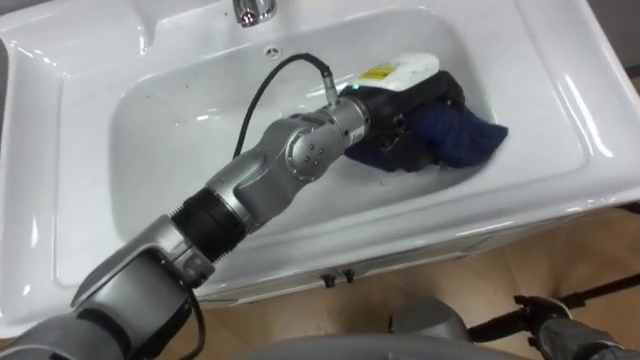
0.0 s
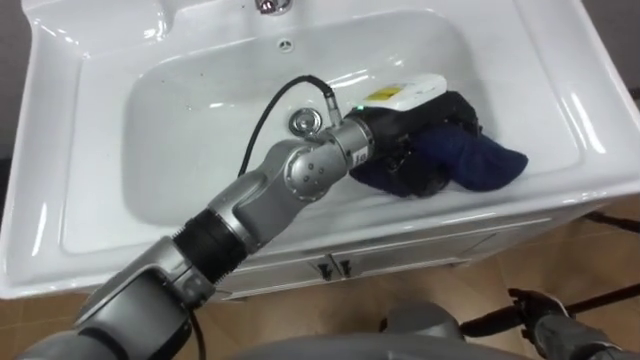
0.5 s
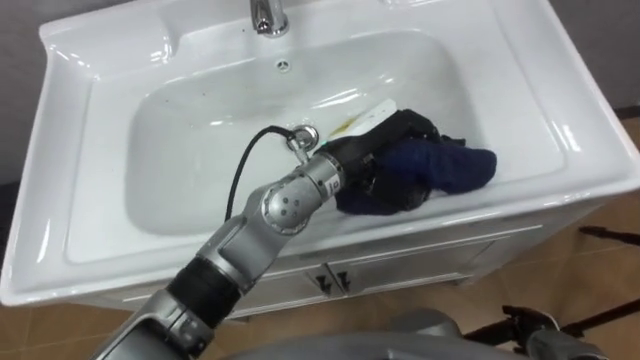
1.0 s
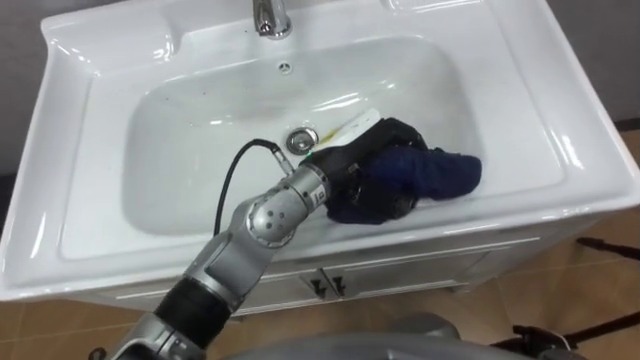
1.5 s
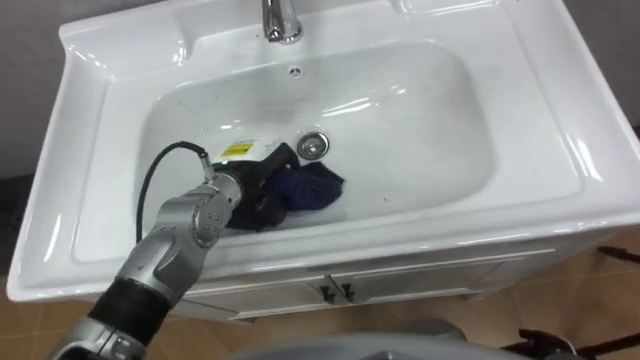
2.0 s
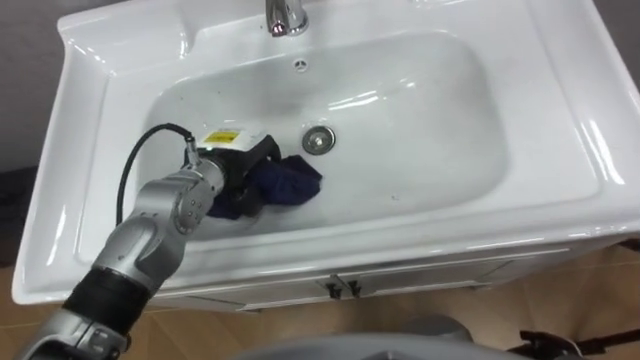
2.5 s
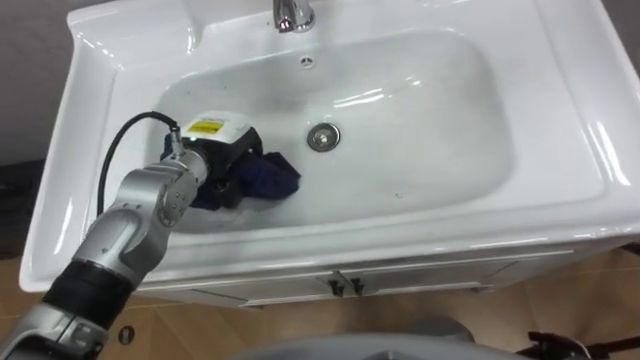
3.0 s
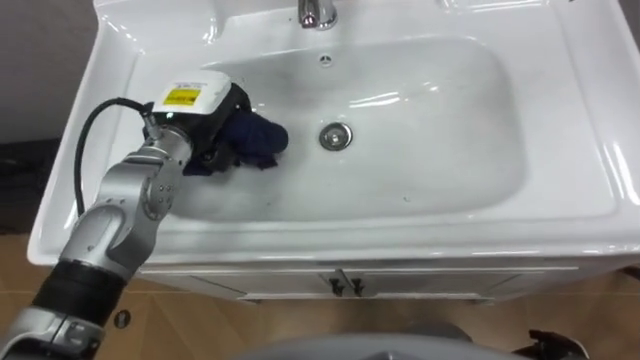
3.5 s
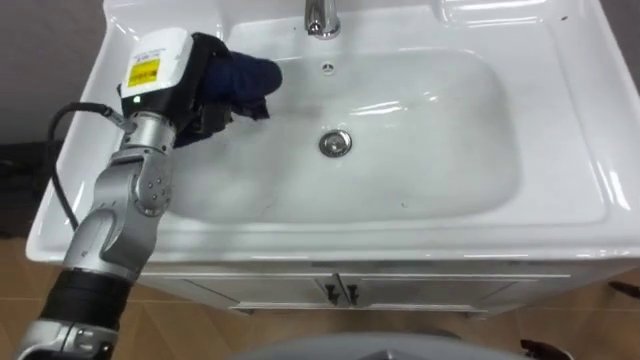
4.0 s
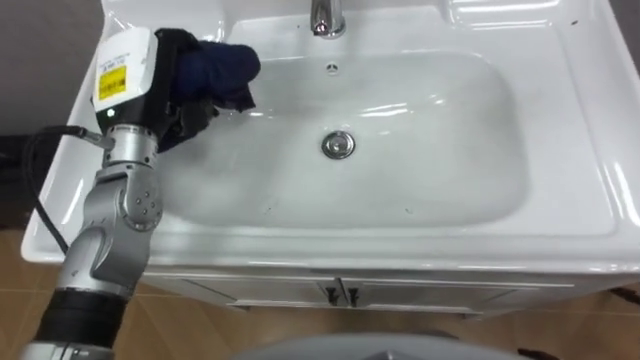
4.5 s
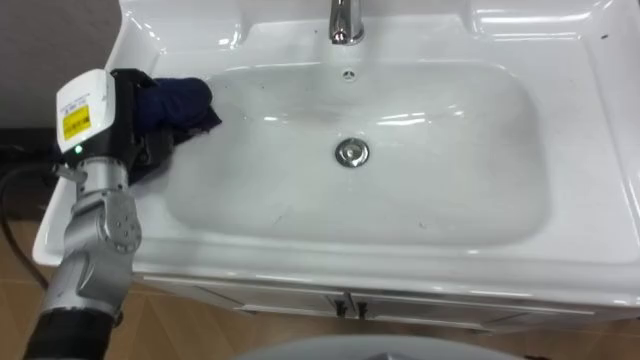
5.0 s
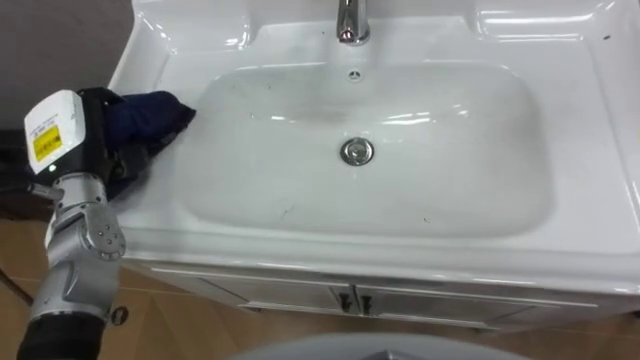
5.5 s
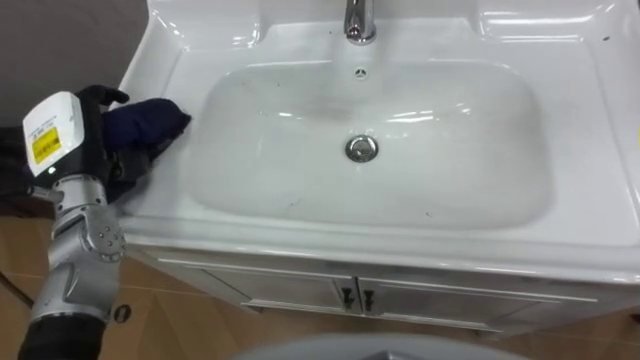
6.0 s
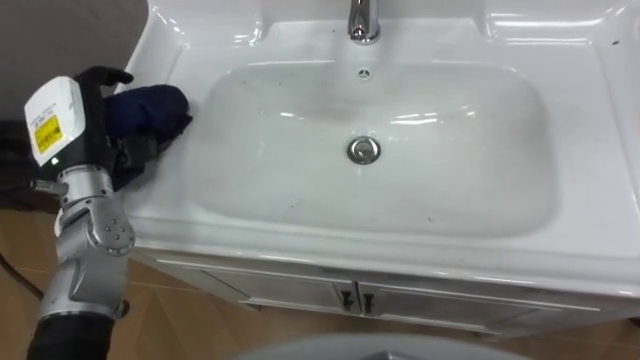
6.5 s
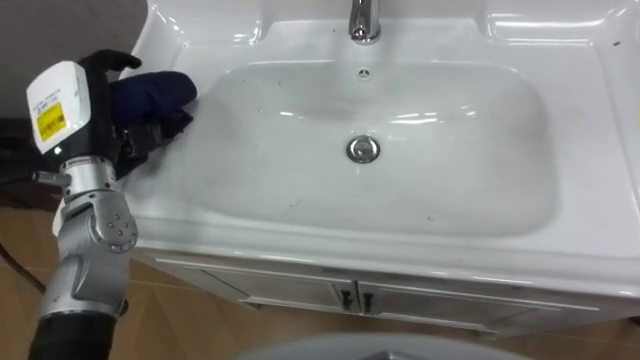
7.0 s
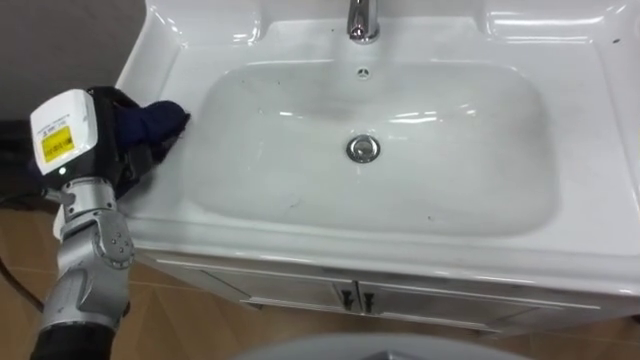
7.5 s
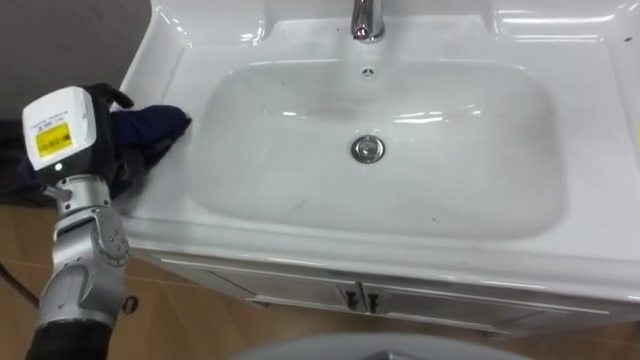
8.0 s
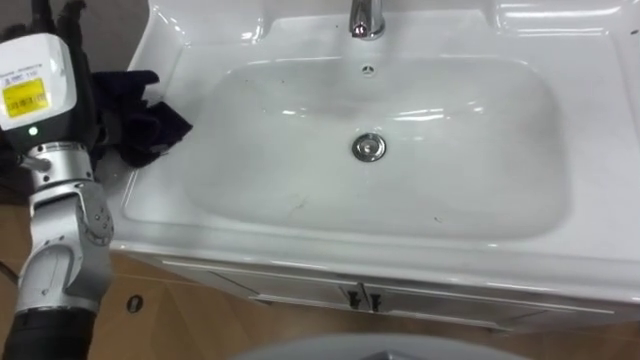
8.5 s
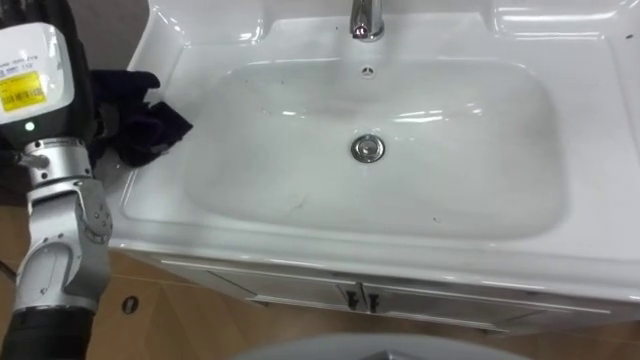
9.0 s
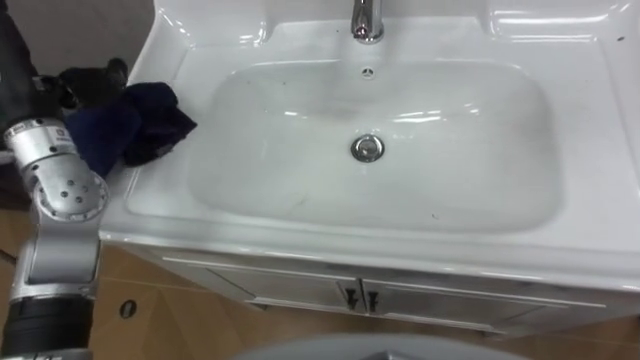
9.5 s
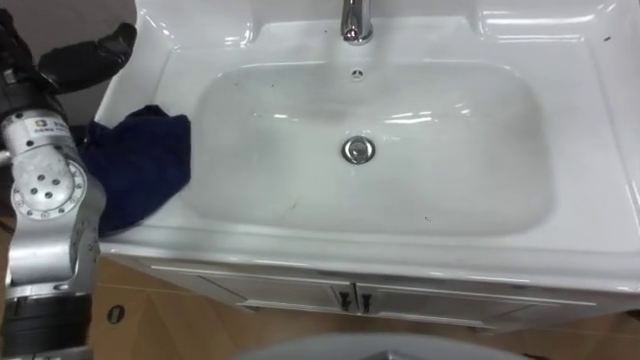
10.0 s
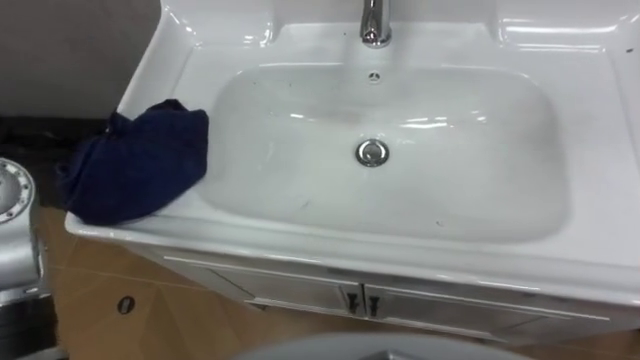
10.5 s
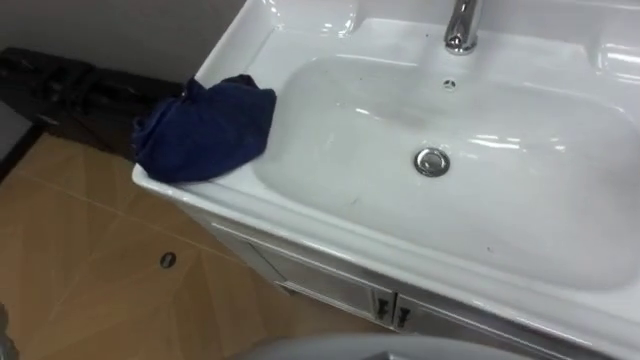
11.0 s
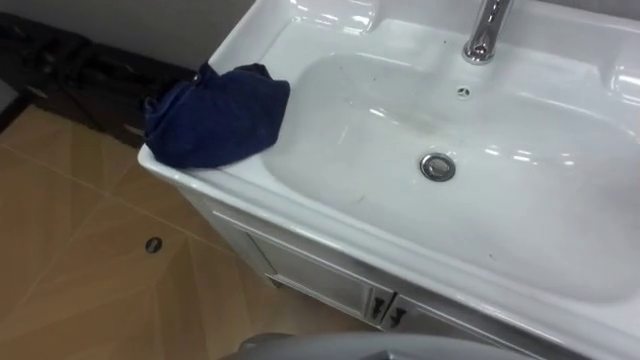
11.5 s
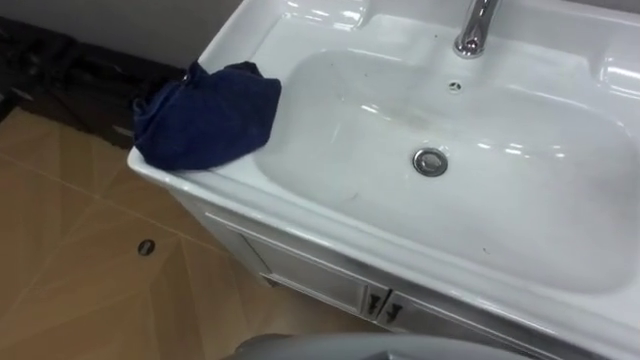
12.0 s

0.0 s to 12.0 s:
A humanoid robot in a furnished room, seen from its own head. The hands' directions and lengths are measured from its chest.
Task of the whole recording: Use the cloth on the right to wipe away the black stain in the sink.
0.0 to 2.0 s: The left hand heads to the left and downward, covering roughly 20 cm.
2.0 to 4.0 s: The left hand shifts some 15 cm upward and to the left.
4.0 to 6.0 s: The left hand moves to the left and backward, some 15 cm.

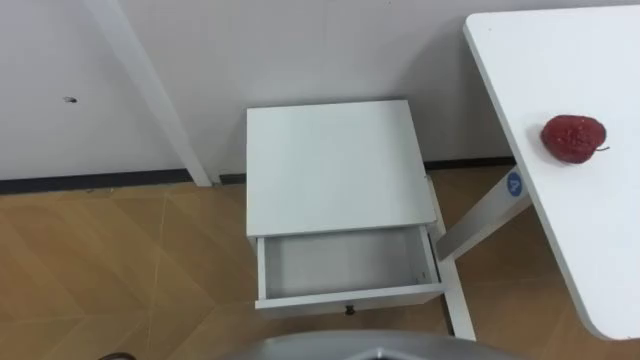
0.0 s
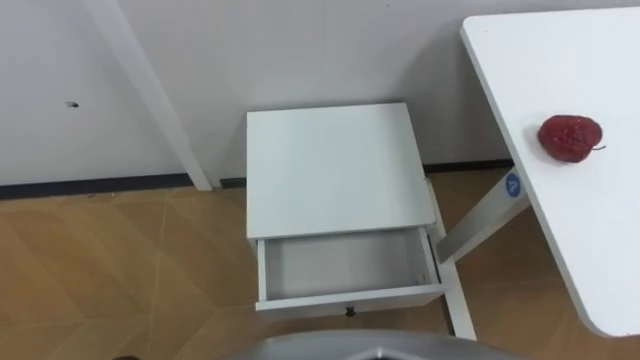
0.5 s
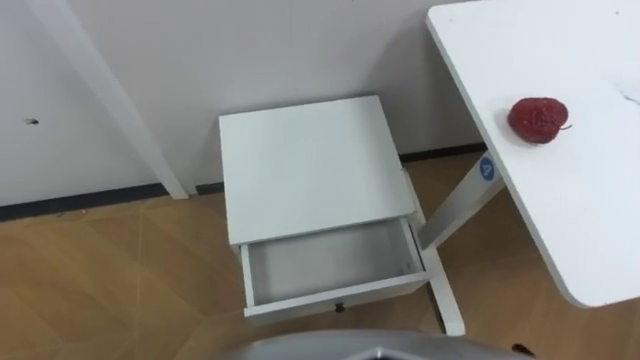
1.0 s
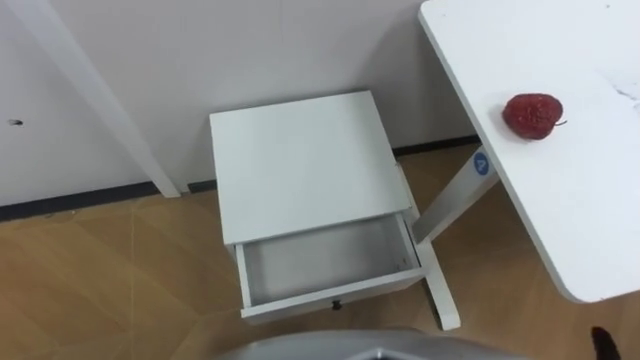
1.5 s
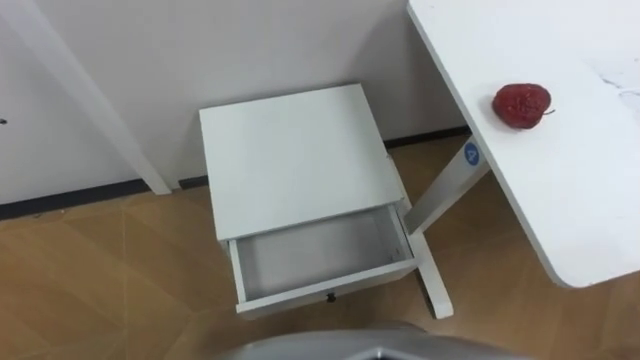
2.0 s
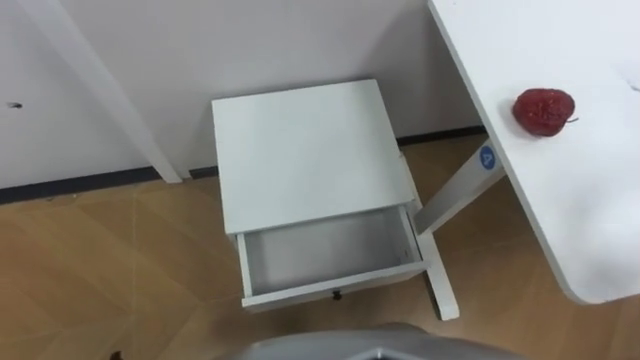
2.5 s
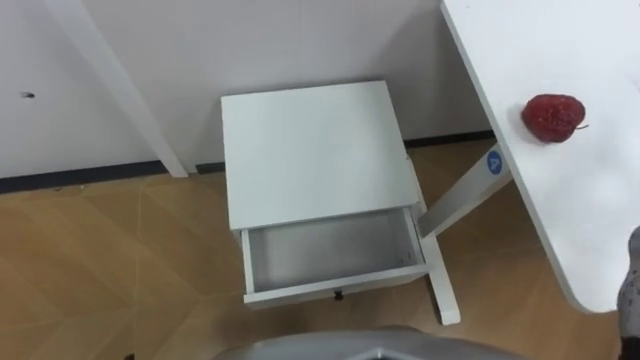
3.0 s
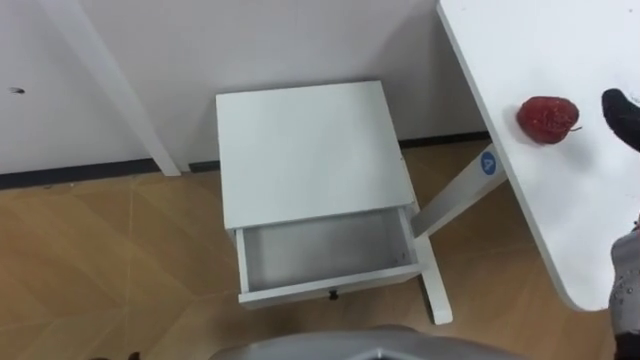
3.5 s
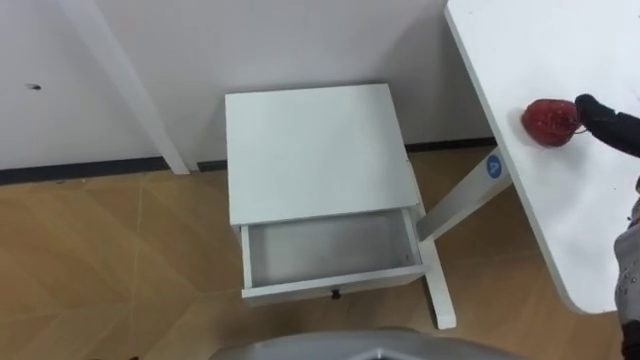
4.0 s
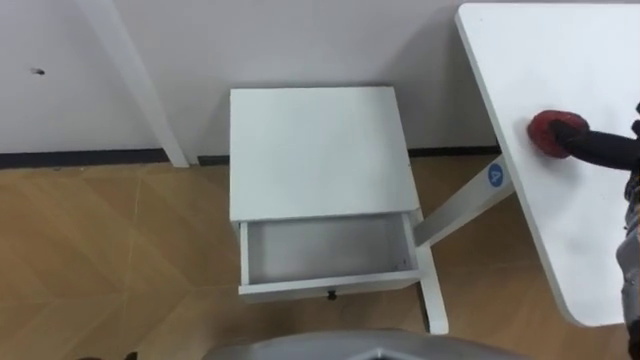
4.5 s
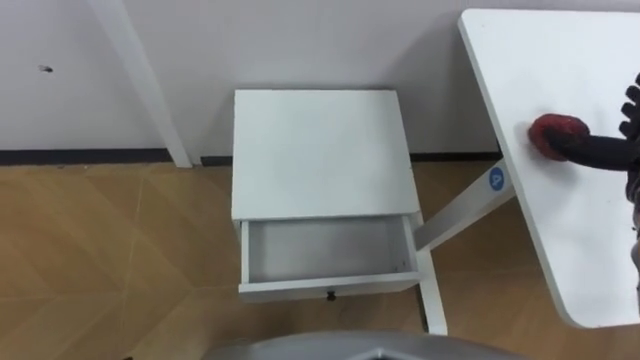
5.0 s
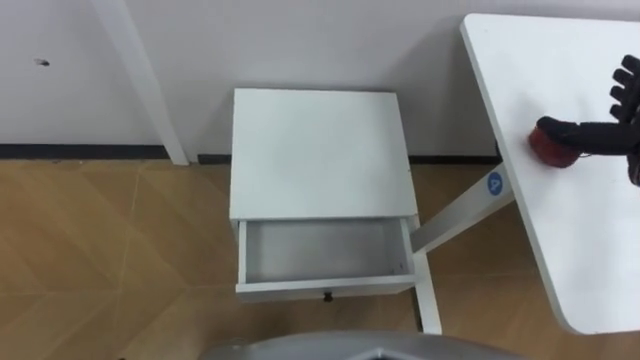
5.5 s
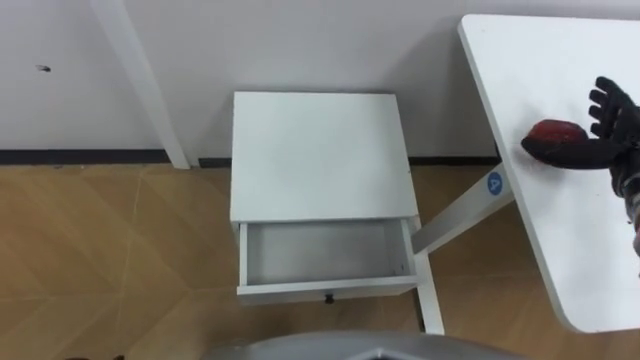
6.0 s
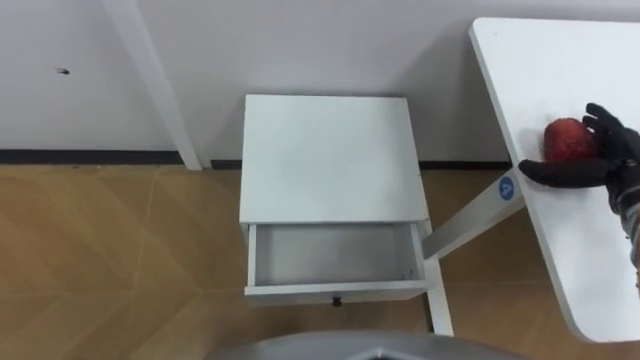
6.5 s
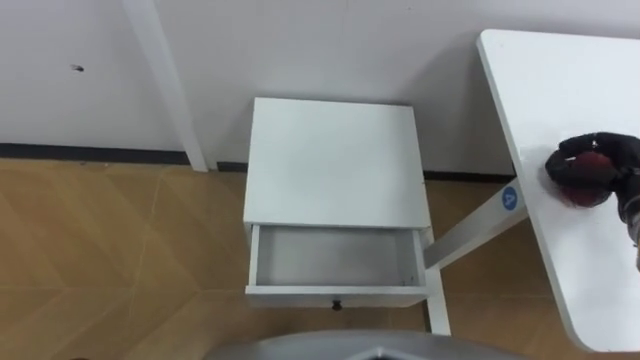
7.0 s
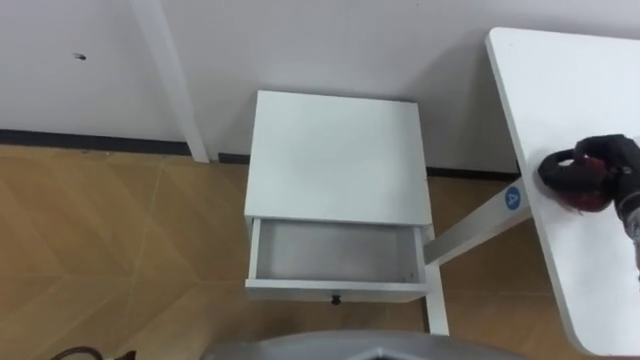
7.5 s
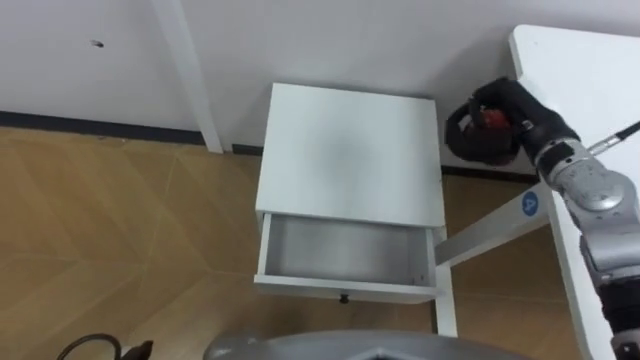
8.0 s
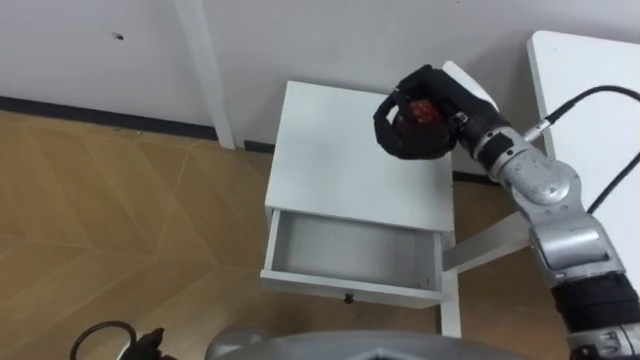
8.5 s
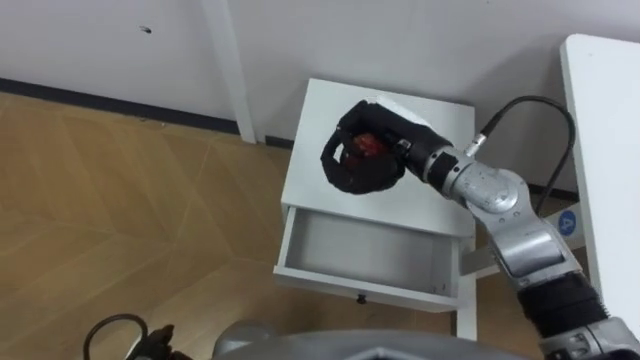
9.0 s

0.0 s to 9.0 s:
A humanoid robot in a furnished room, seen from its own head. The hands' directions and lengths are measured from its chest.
Task of the whole recording: Pick up the apple from the table, put it in the drawer, and close the drawer with leg.
7.0 to 9.0 s: The right hand is displaced to the left by roughly 30 cm.
